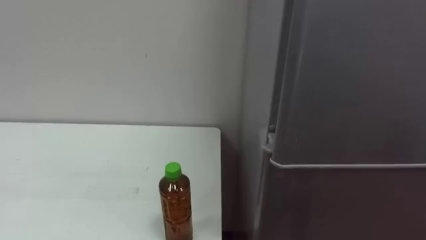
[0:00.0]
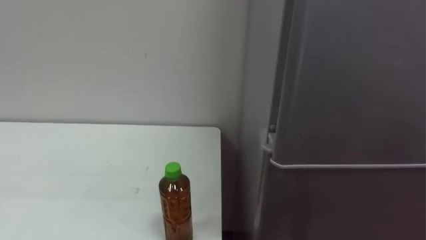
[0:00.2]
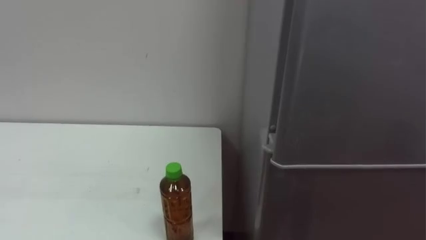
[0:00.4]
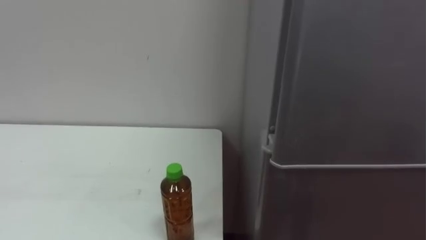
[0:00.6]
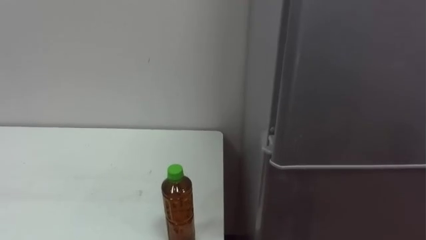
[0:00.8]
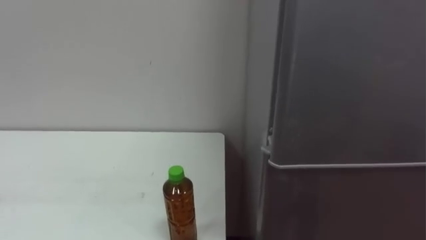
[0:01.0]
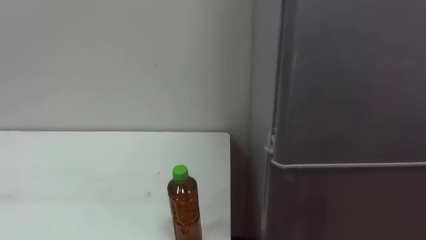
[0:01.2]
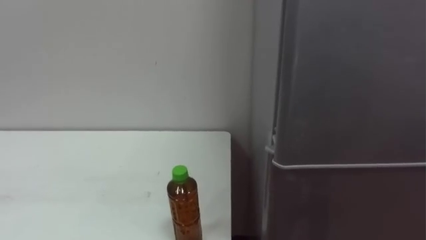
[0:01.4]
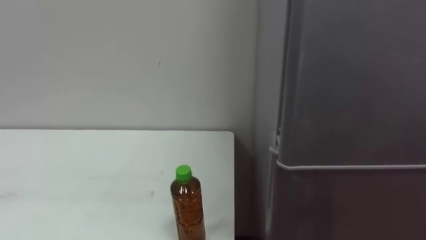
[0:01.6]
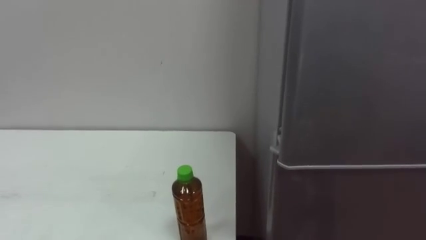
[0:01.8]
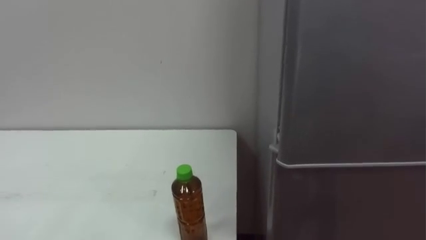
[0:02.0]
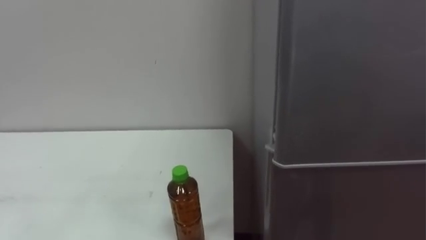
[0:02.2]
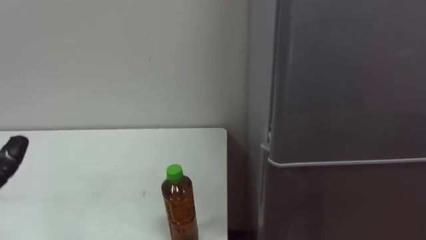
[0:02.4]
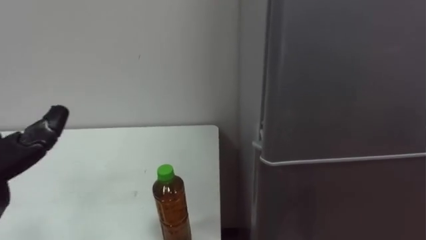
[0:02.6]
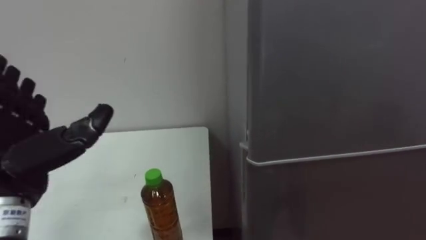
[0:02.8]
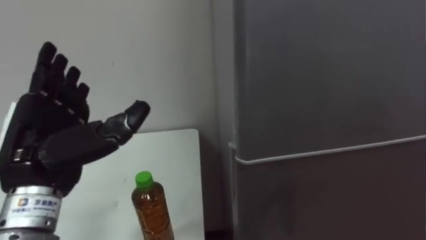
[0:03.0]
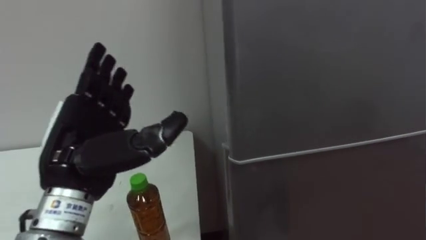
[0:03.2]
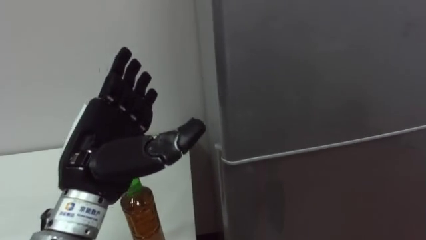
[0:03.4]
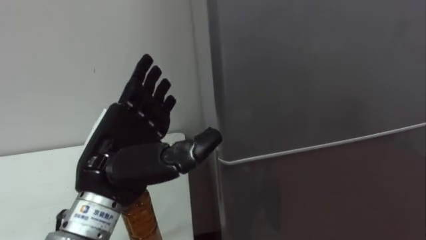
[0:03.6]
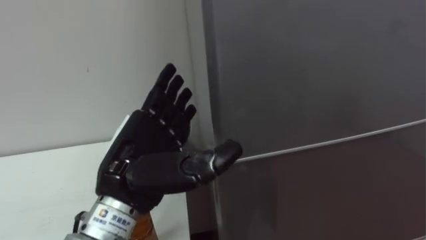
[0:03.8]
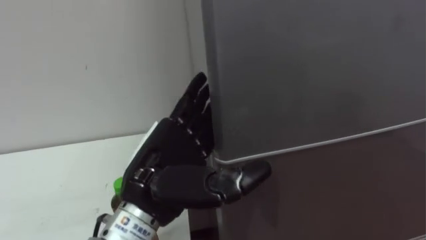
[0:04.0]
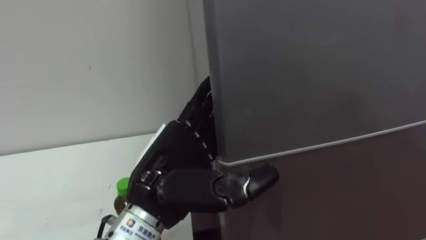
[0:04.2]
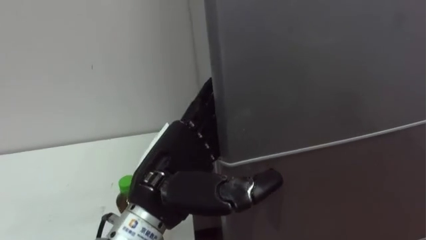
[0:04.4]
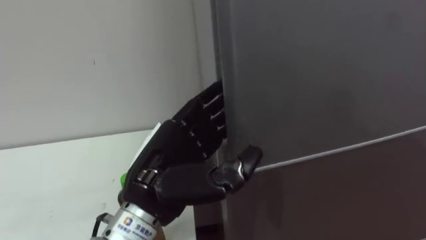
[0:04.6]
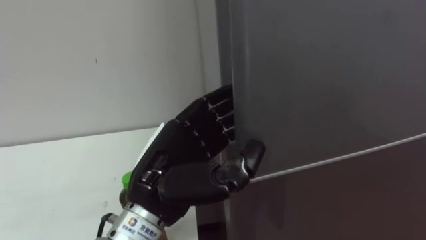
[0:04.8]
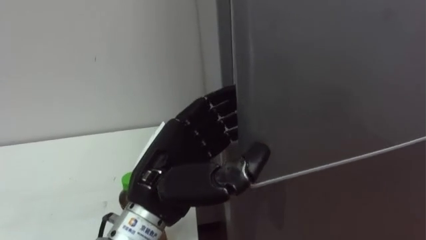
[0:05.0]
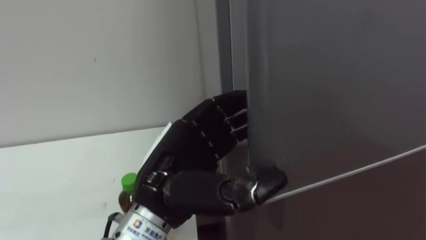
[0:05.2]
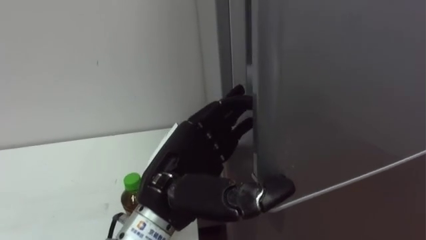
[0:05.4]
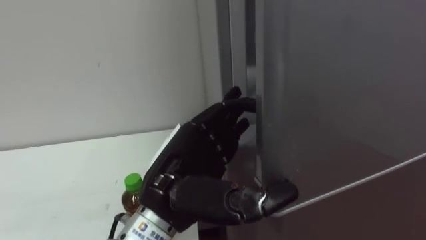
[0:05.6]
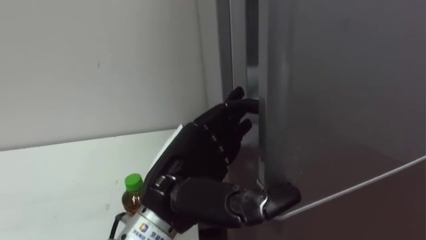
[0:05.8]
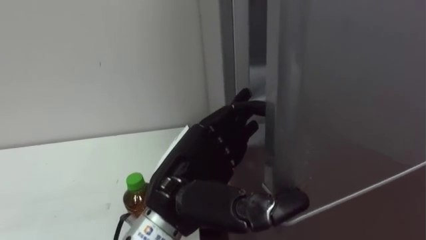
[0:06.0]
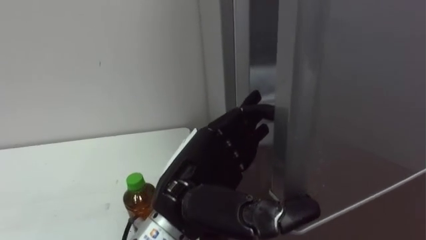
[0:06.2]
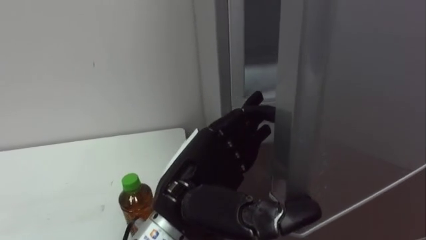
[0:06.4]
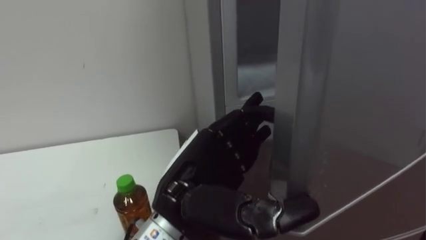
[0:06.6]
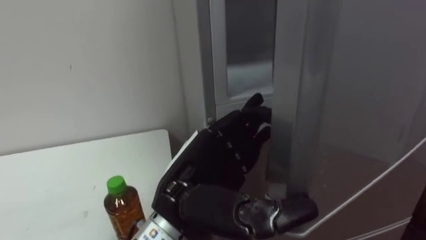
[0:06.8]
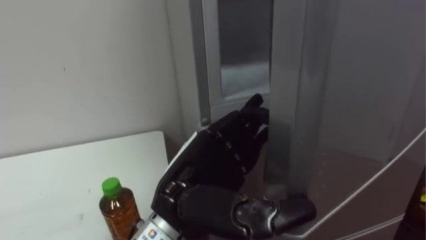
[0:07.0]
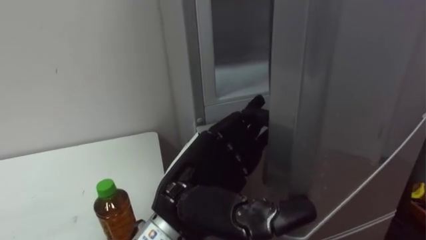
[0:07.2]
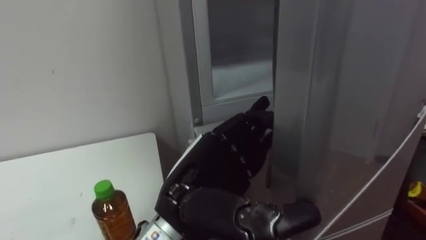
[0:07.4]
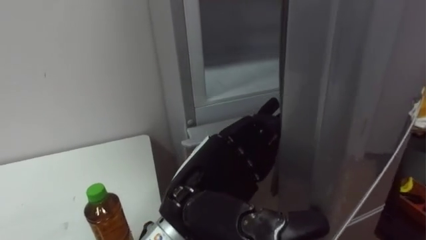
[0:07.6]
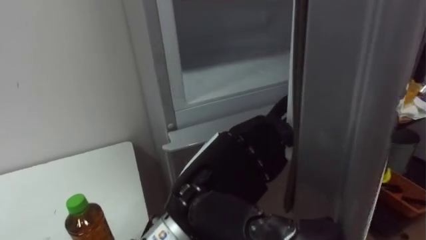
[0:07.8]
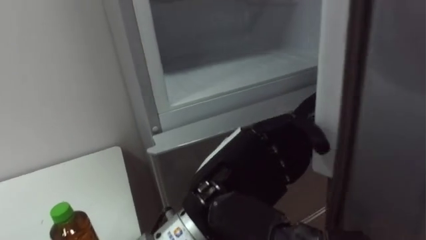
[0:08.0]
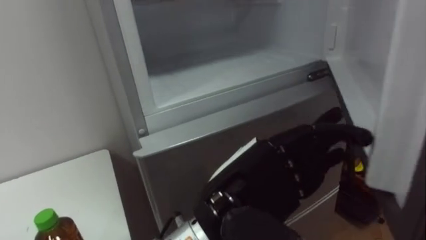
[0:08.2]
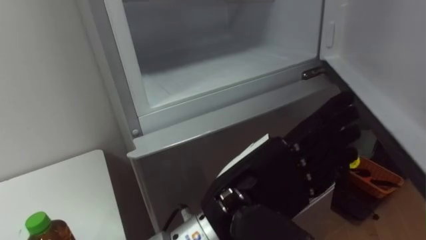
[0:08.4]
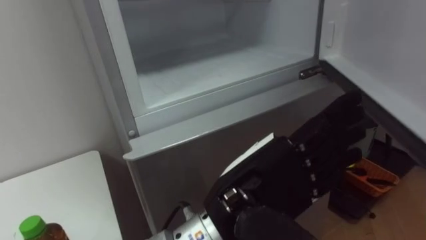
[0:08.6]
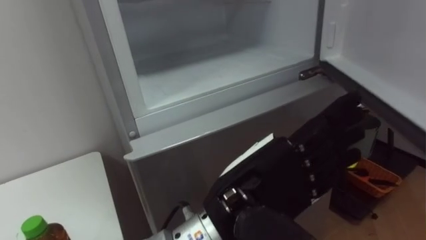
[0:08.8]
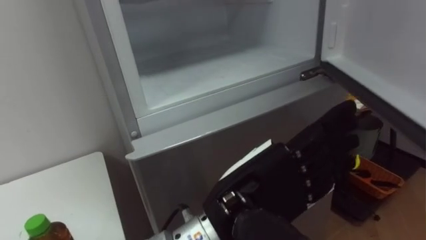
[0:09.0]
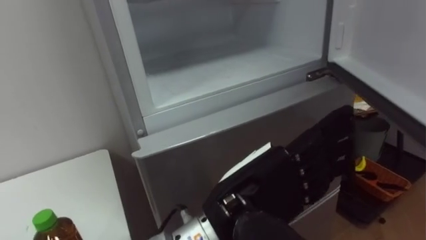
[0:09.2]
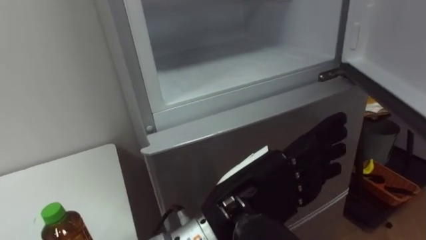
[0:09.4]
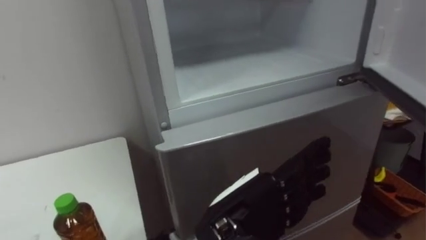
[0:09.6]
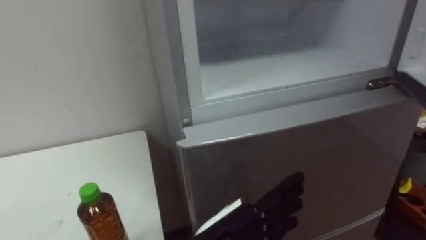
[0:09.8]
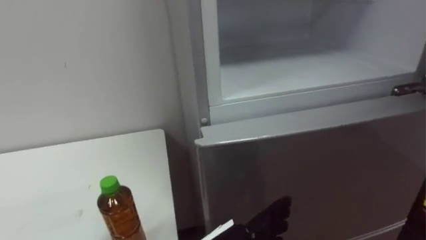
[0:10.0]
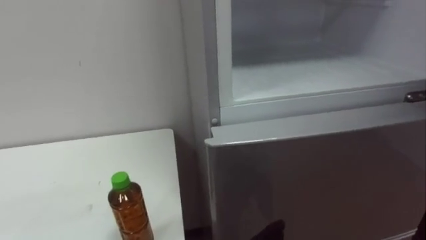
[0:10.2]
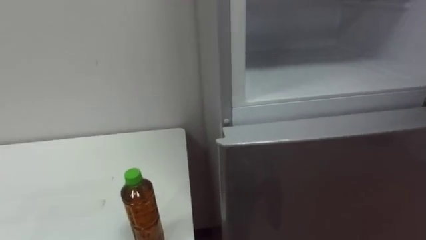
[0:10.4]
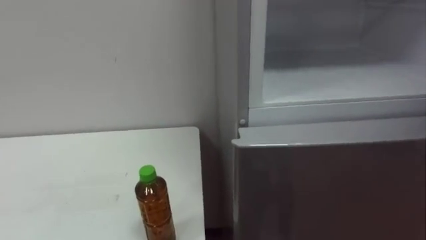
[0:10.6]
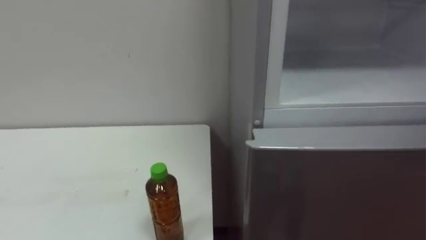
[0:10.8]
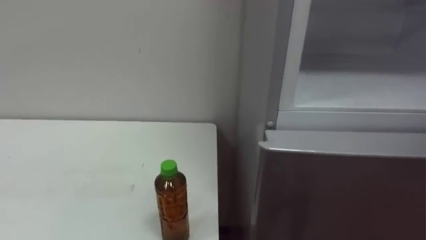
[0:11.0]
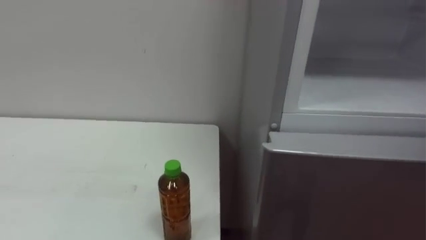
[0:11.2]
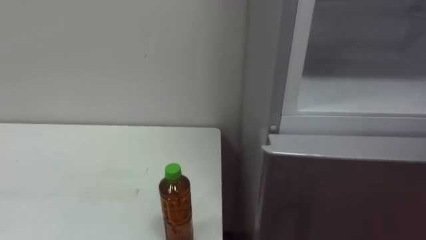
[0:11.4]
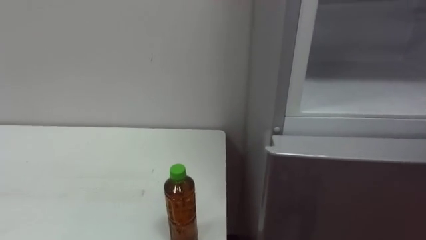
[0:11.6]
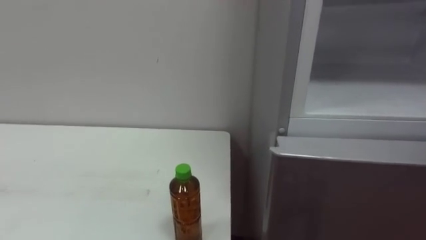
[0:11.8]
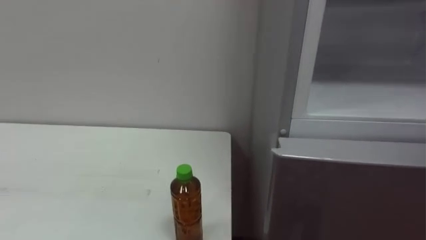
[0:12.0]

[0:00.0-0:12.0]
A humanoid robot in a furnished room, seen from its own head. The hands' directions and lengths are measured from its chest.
Task of the whole recording: Open the upper refrigerator door, put the drink from the table into the refrigerator, and then close the refrigerator door.
0:03.0 to 0:04.4: The left hand heads to the right, covering approximately 15 cm.
0:04.4 to 0:06.0: The left hand closes and opens again.
0:07.6 to 0:09.0: The left hand shifts roughly 5 cm to the right.

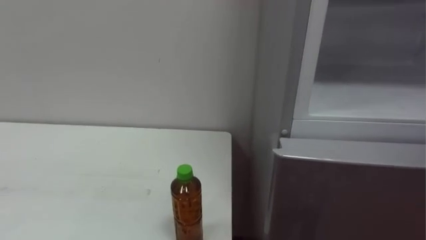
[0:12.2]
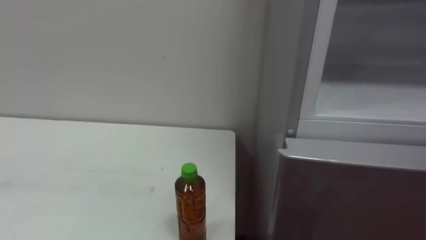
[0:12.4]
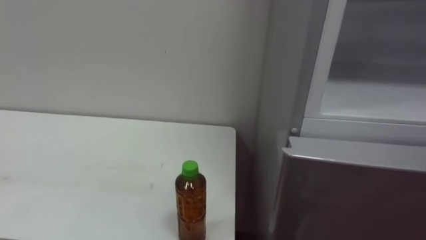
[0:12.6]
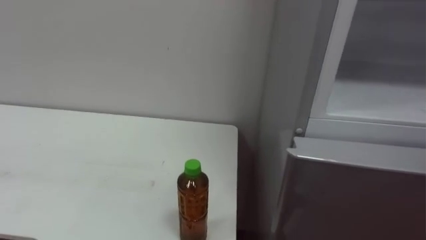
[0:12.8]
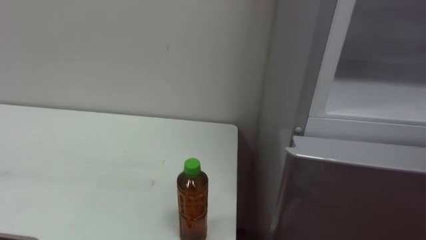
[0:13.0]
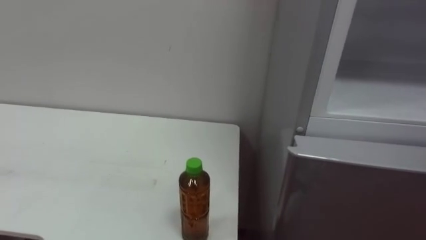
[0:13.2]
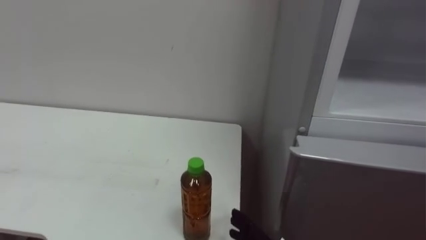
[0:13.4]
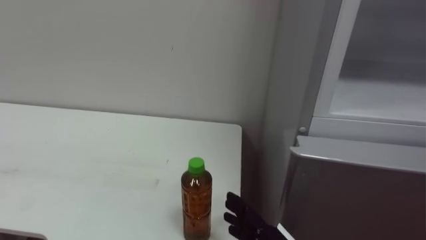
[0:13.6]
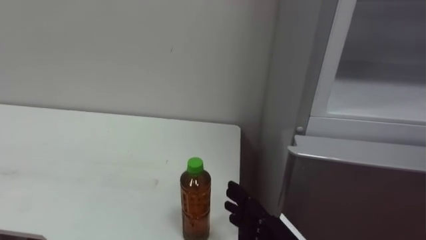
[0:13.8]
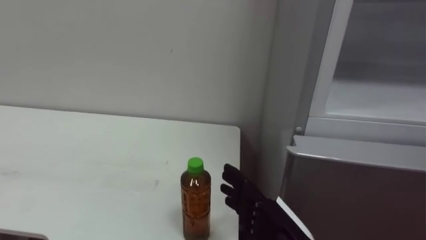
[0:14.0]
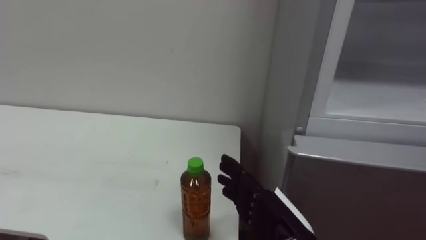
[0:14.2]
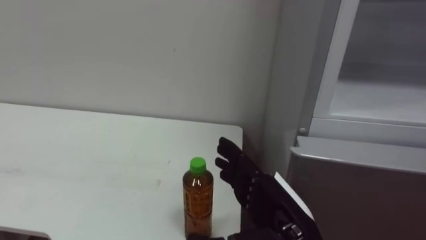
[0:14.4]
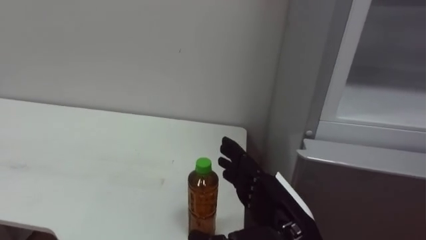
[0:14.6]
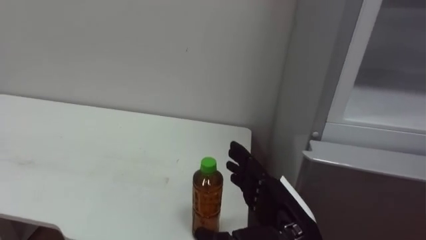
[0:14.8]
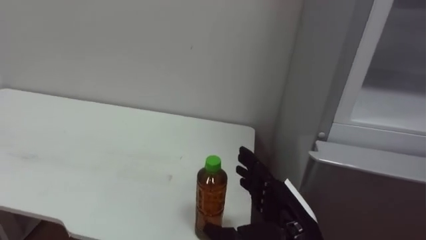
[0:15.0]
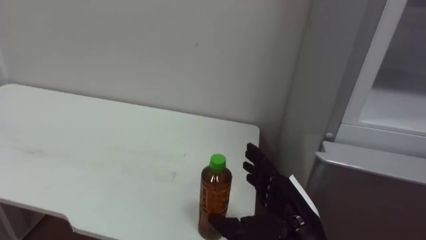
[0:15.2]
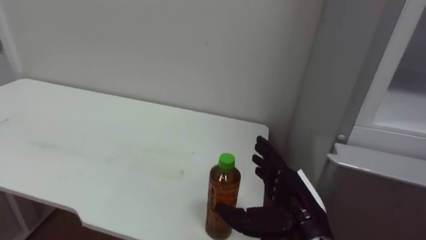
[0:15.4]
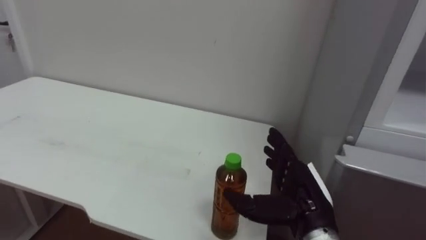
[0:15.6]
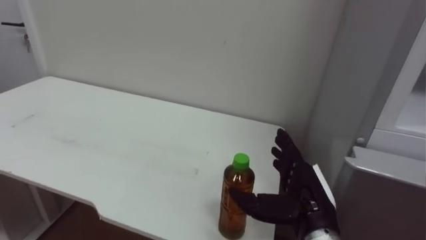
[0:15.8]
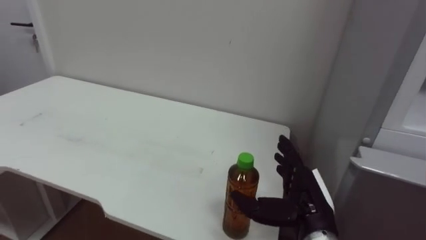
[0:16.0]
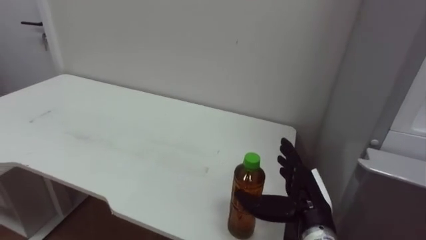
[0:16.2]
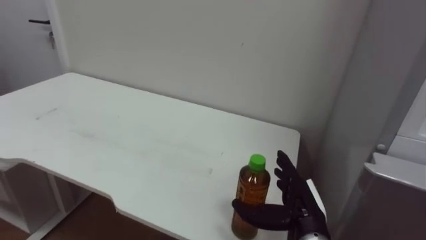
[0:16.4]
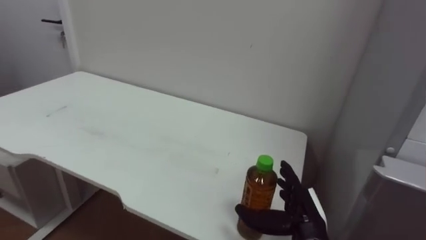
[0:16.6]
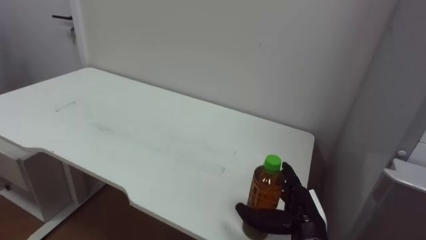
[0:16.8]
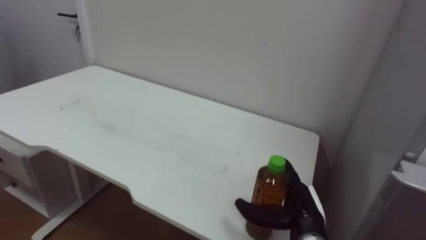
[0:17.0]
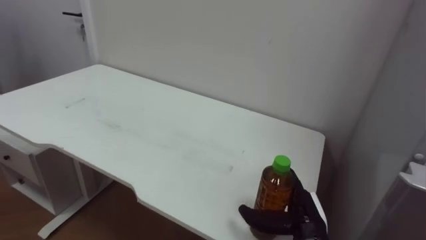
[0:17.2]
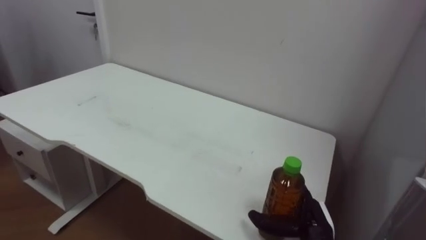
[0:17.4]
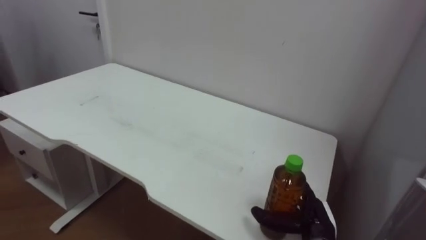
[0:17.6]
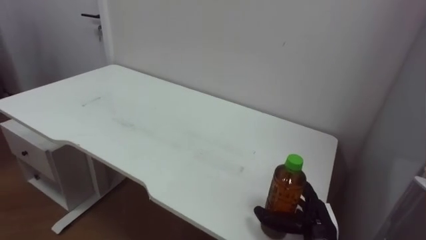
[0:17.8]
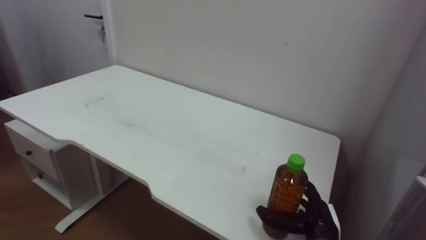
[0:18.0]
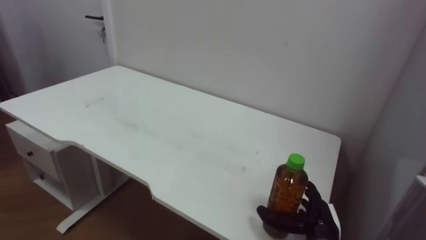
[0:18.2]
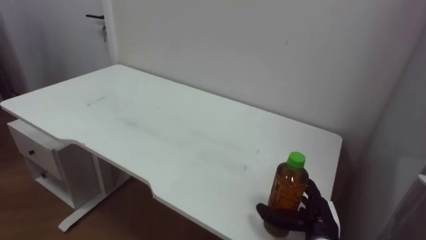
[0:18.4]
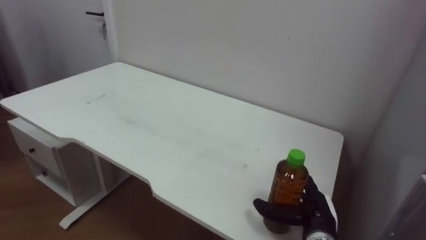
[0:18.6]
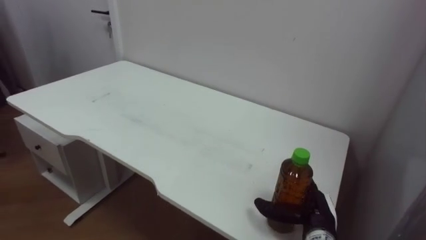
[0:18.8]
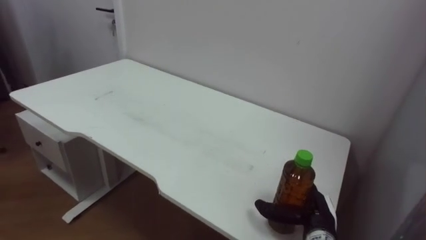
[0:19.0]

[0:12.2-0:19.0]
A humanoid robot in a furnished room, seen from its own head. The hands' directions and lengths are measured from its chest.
Task of the whole recording: Open the upper refrigerator door, put the drink from the table into the refrigerator, and then close the refrigerator door.
0:15.0 to 0:16.2: The right hand moves about 5 cm.
0:16.2 to 0:17.6: The right hand shifts some 10 cm downward.
